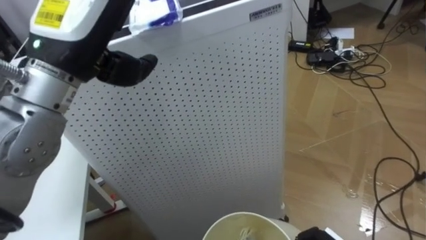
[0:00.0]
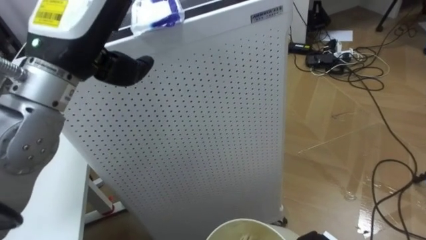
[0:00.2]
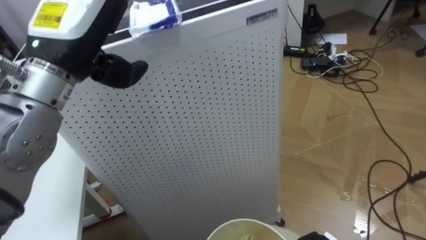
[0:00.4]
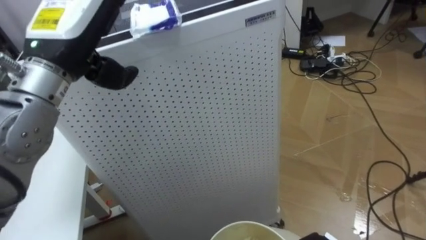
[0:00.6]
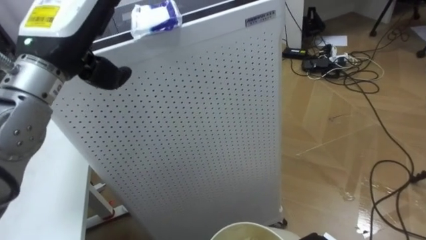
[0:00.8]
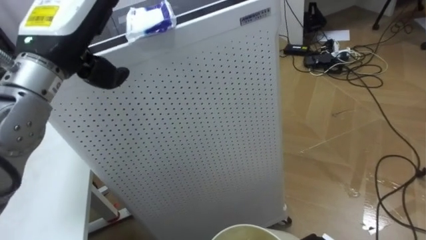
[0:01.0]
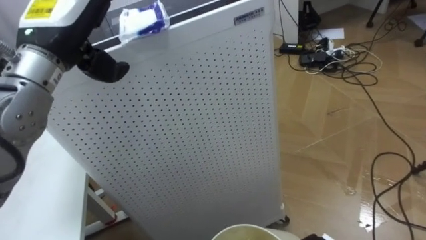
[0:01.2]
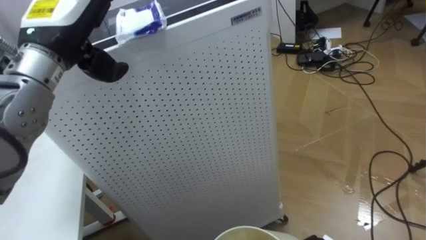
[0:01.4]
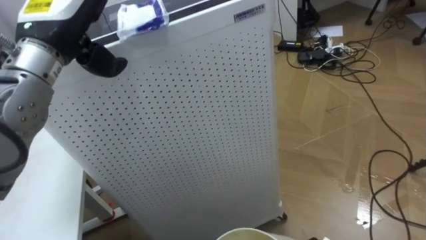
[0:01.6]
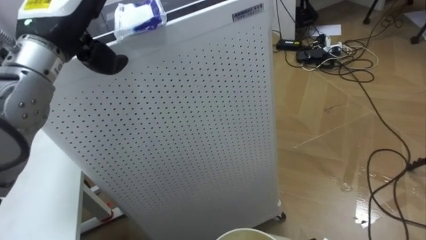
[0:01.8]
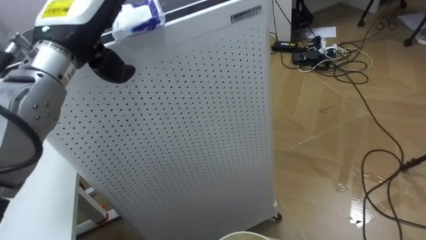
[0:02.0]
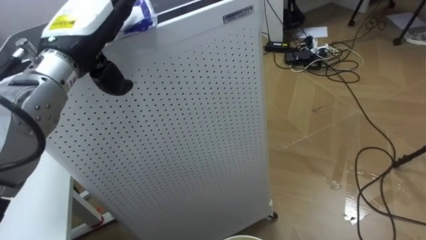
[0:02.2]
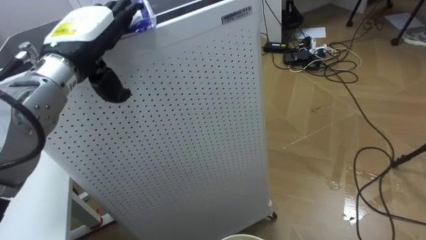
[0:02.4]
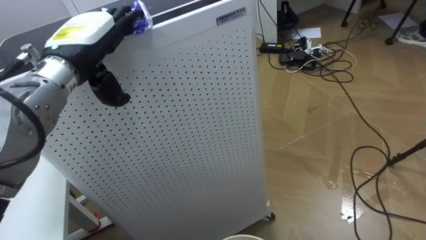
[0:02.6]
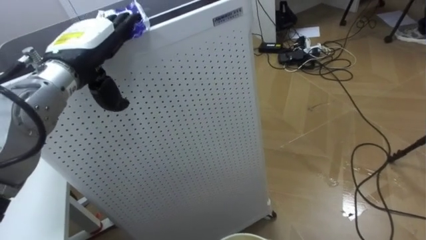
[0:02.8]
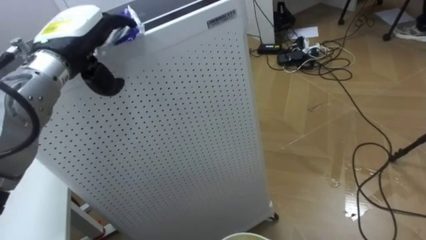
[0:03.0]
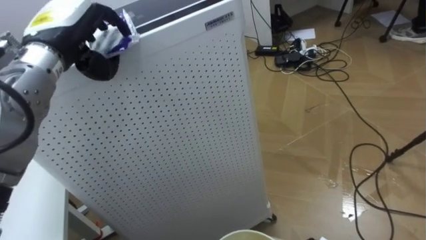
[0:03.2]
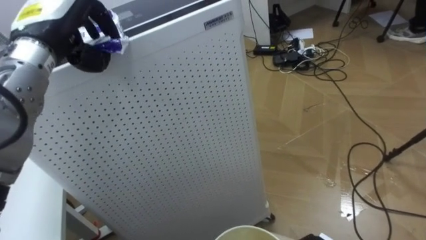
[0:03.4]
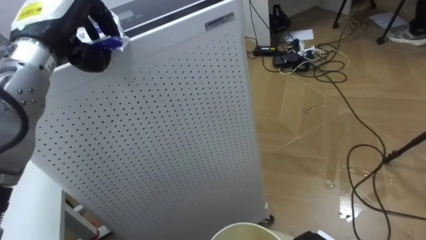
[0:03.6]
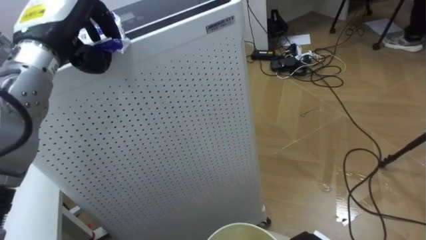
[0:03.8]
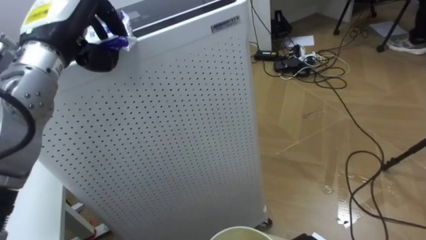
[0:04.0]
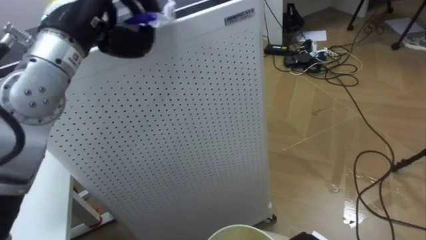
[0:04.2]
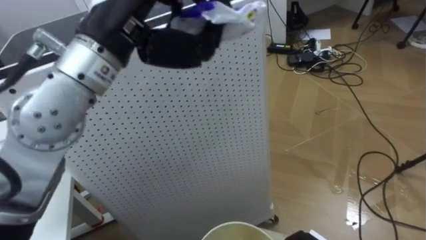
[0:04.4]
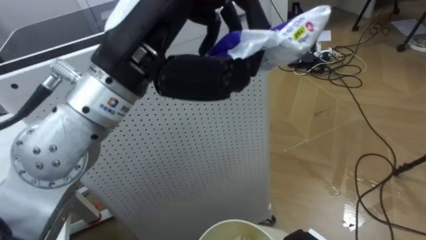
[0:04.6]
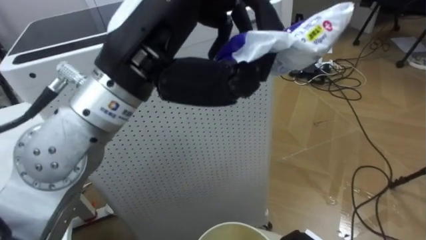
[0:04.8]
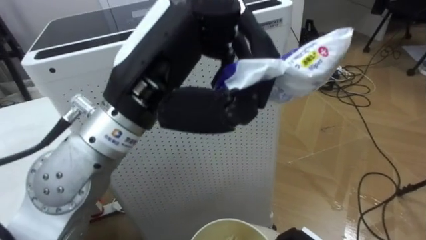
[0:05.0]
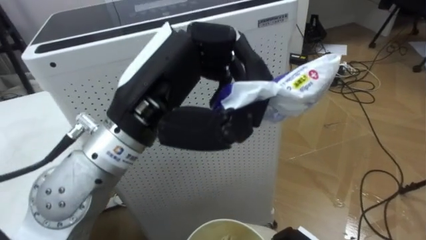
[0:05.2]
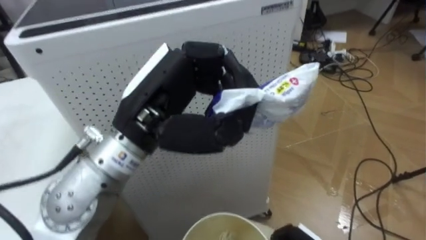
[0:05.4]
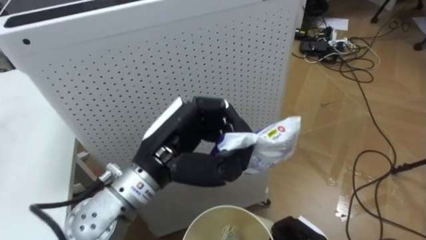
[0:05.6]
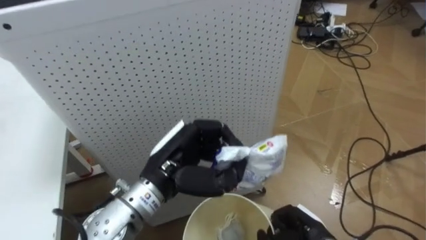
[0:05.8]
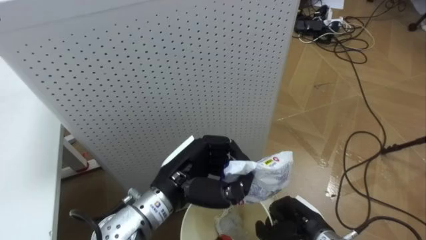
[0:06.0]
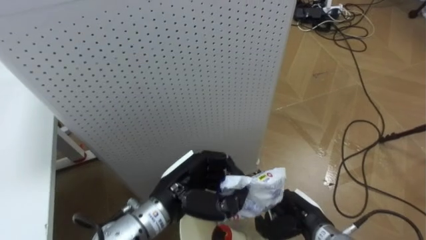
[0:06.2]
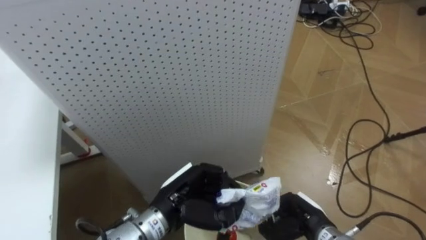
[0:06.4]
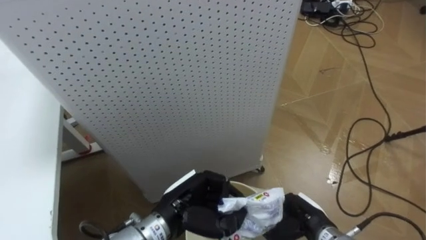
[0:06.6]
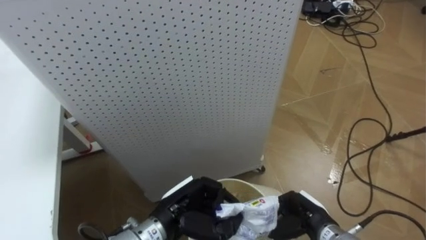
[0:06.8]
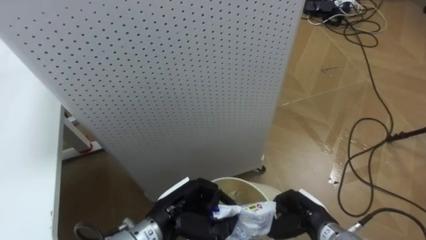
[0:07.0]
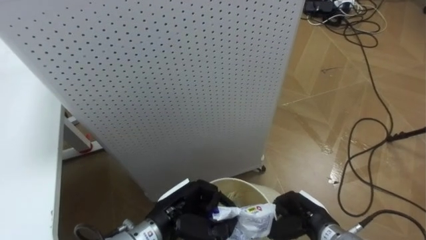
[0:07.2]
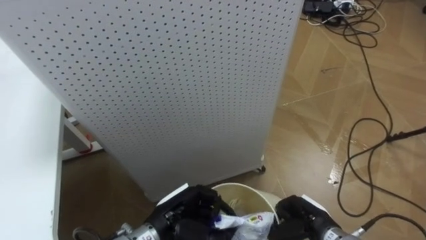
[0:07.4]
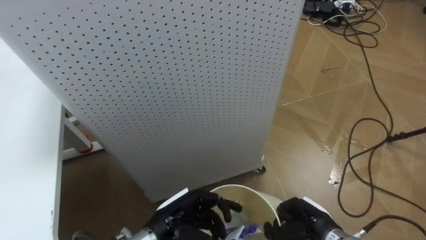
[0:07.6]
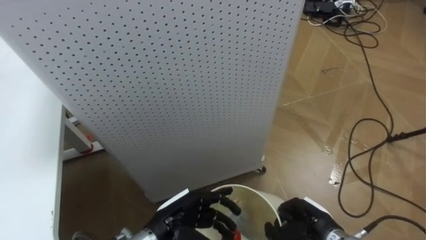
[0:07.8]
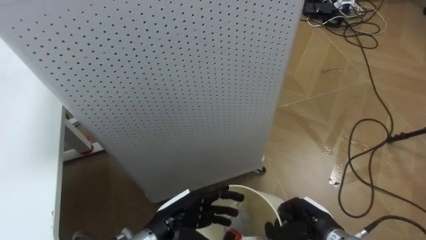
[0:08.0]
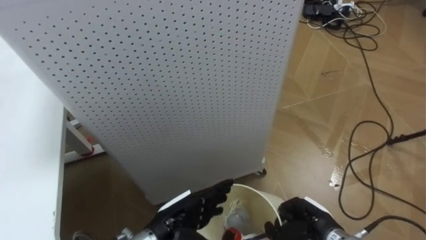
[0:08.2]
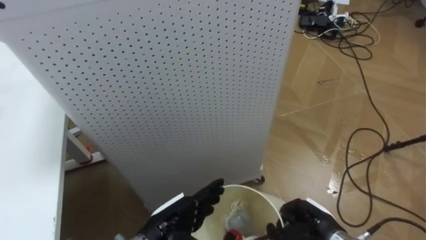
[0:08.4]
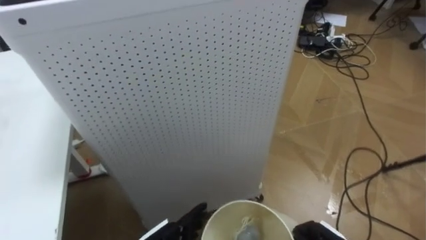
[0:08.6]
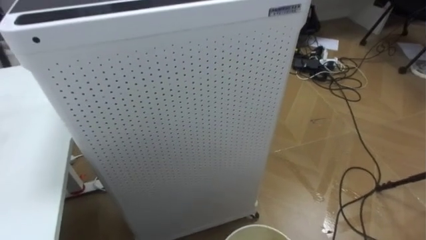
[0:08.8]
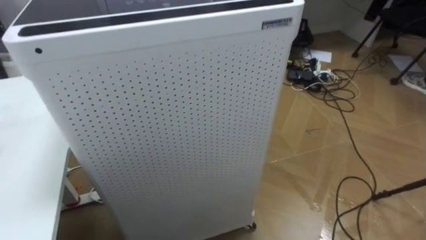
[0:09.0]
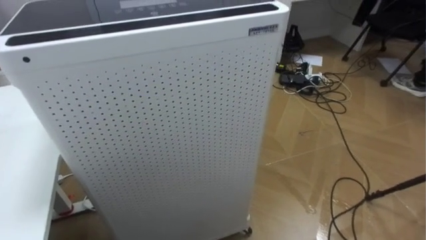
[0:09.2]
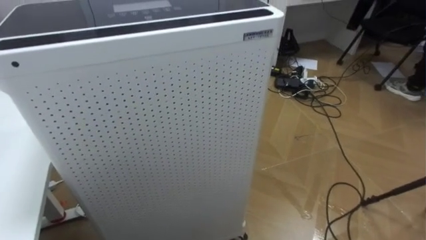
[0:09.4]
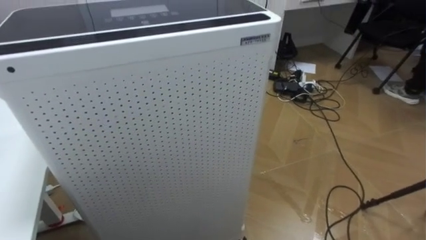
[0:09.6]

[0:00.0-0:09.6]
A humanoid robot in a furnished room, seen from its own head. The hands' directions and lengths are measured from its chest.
Task of the whole recording: Pick up the light blue package, the candy box, and the dark blue package separately, and put them into the trash can held in your right hand.
0:00.0 to 0:01.6: The left hand is displaced forward by roughly 5 cm.
0:01.6 to 0:03.2: The left hand ends up approximately 5 cm from where it was.
0:03.2 to 0:04.8: The left hand heads to the right, backward and upward, covering some 20 cm, and closes.
0:04.8 to 0:06.4: The left hand travels downward by some 30 cm.
0:06.4 to 0:08.0: The left hand moves roughly 5 cm, and opens.

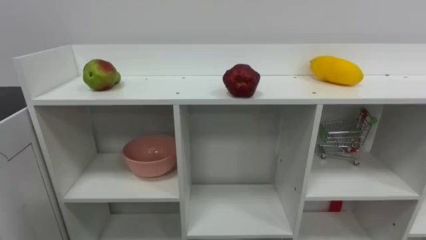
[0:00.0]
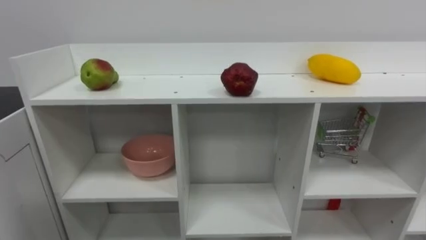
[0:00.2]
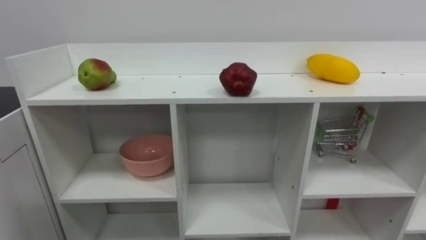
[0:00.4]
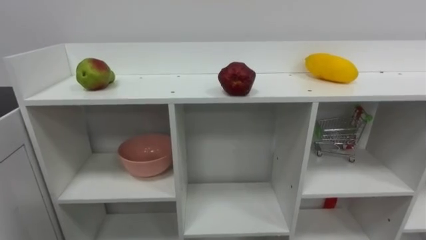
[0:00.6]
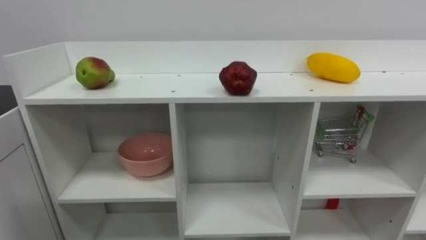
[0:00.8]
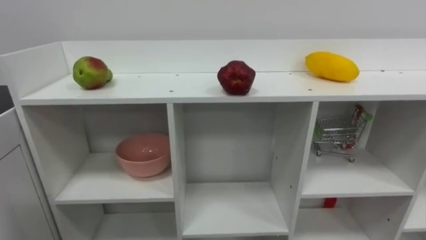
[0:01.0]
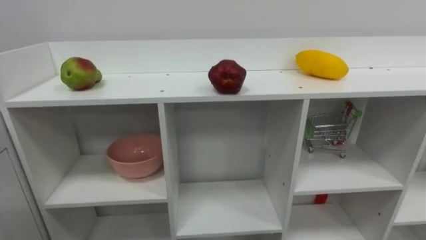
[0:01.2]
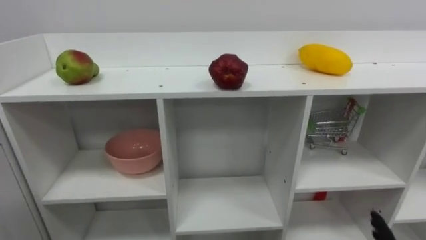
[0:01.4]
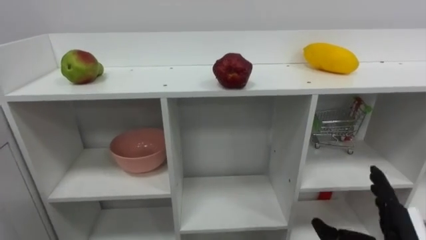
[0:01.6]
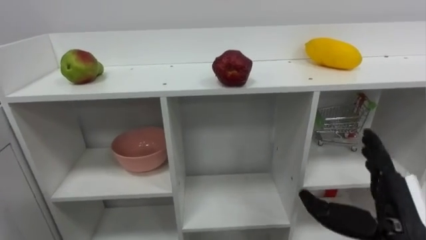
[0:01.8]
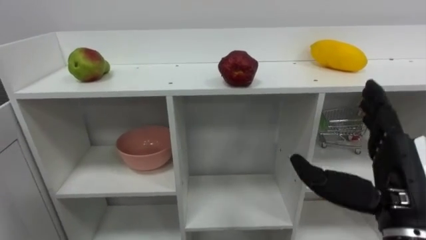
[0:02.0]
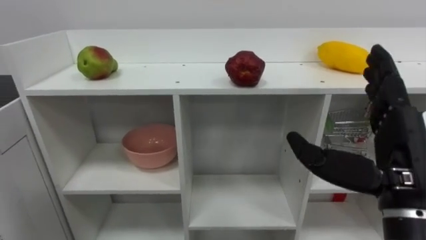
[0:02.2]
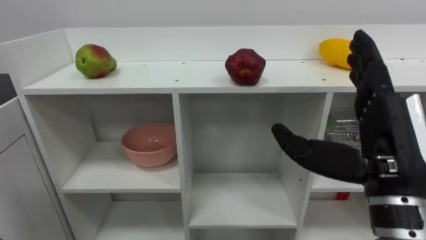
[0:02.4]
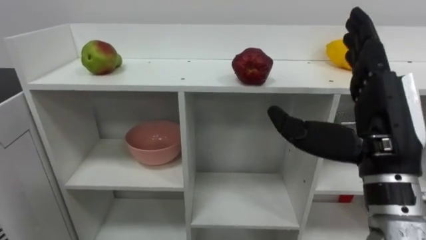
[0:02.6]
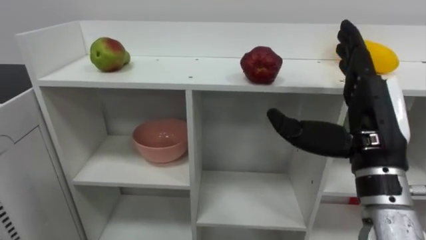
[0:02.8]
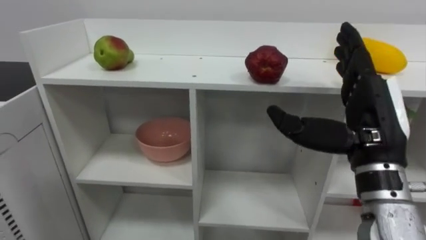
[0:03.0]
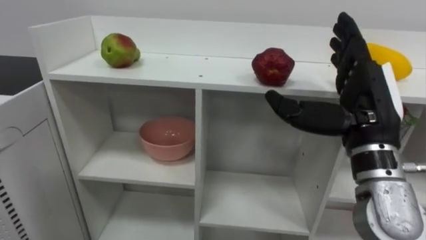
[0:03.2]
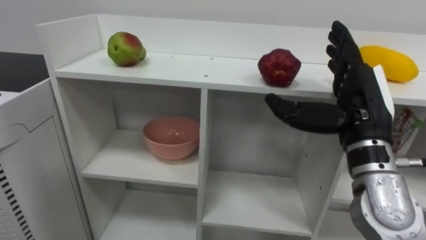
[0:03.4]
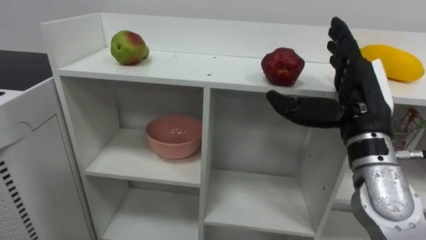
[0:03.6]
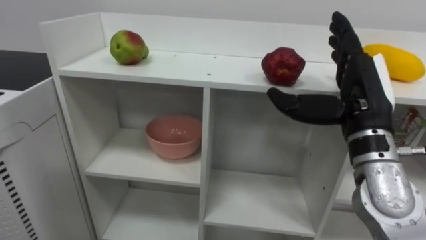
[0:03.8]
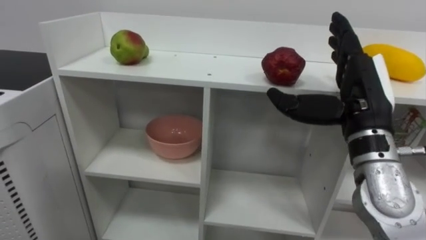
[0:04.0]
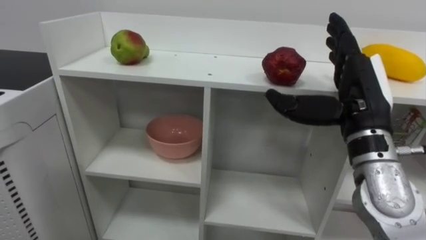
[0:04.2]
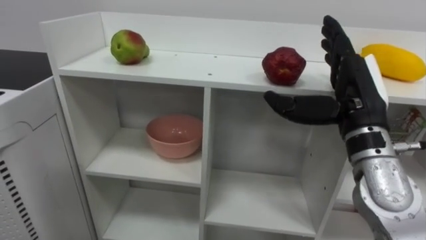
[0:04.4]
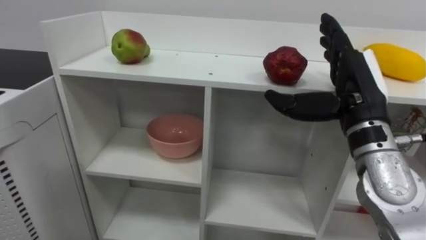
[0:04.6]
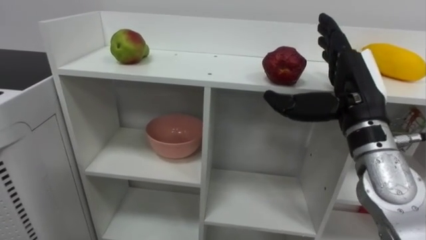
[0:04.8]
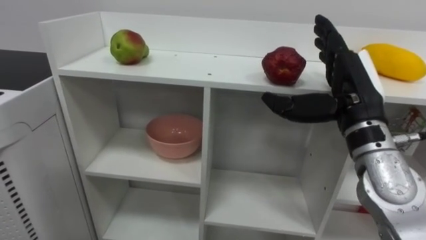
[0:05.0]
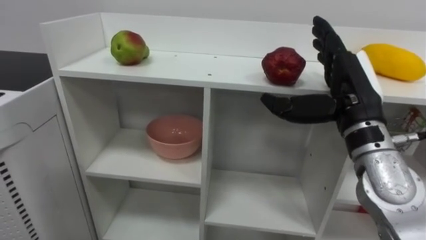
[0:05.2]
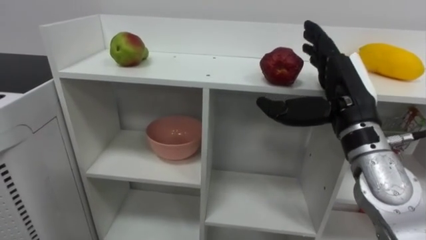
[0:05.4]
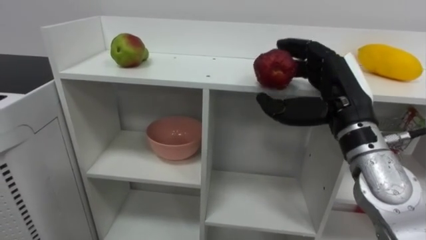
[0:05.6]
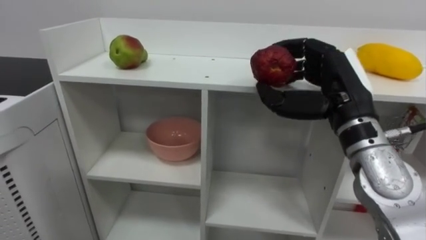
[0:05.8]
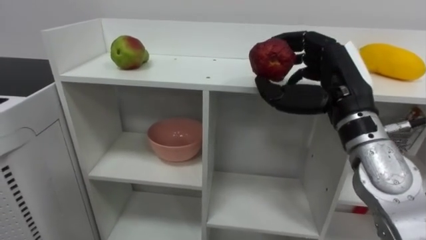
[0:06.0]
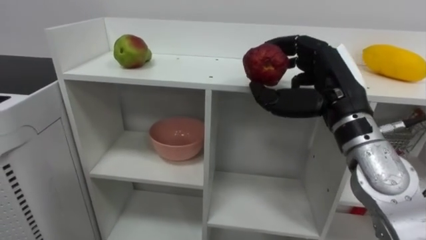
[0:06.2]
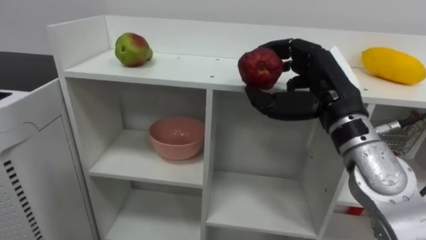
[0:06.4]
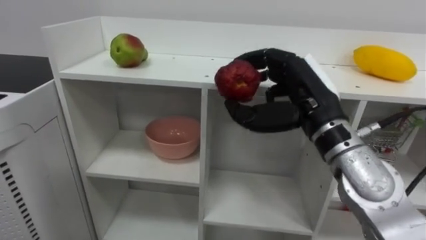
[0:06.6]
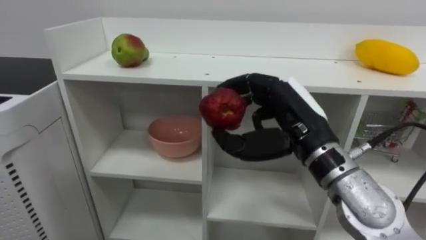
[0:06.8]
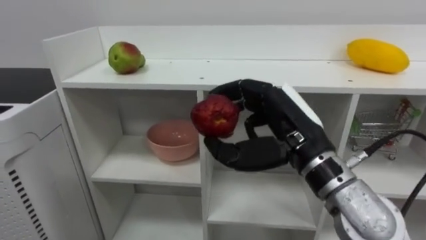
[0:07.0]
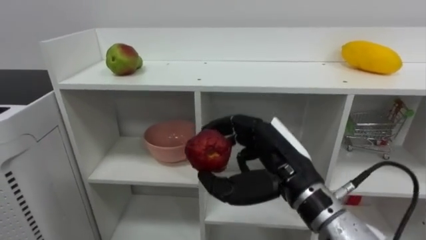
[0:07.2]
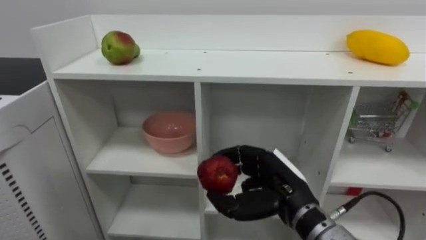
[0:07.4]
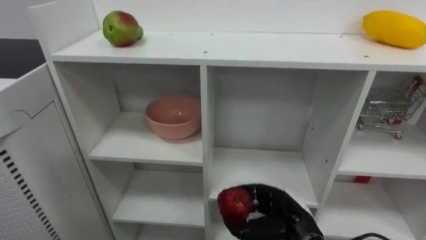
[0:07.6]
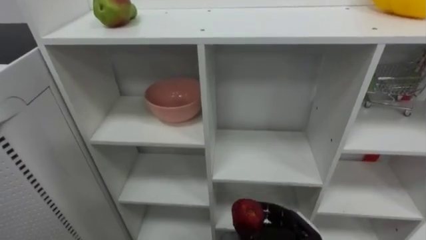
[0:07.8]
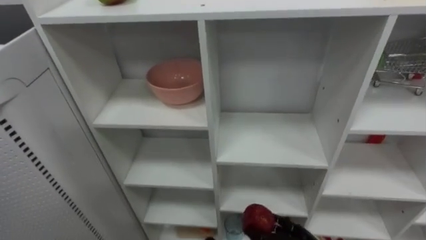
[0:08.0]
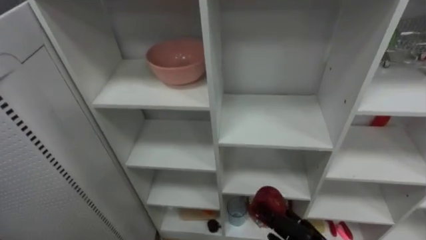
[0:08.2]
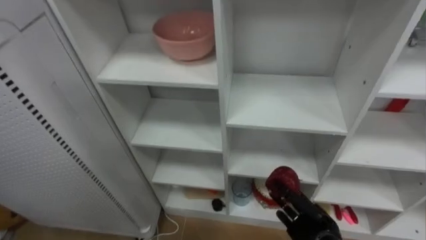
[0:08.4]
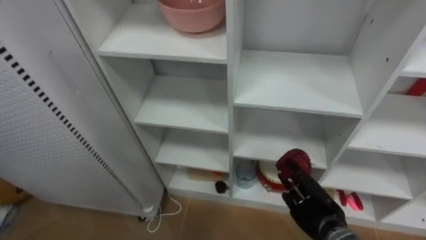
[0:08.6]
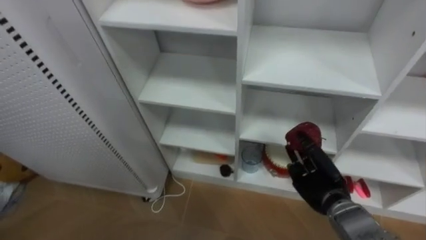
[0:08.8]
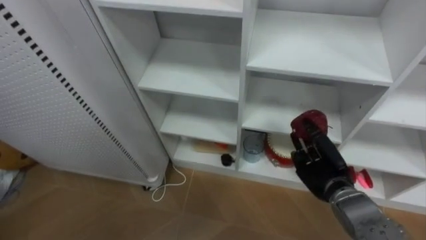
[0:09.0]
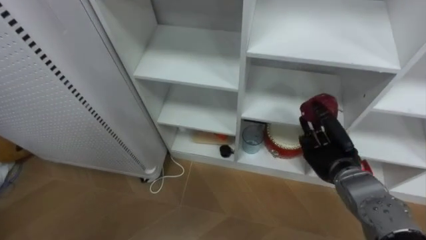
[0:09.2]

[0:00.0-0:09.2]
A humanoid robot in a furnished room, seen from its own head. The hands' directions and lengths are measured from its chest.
Task of the whole recording: Put the apple in the cell in the second column from the left and the second row from the top.
0:03.0 to 0:04.6: The right hand heads forward, covering about 5 cm.
0:04.6 to 0:06.2: The right hand closes.
0:06.2 to 0:07.6: The right hand shifts about 25 cm downward.
